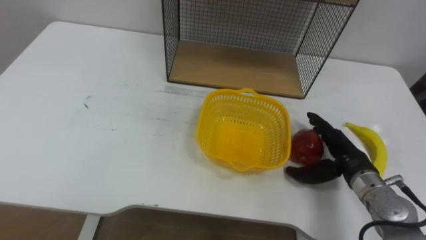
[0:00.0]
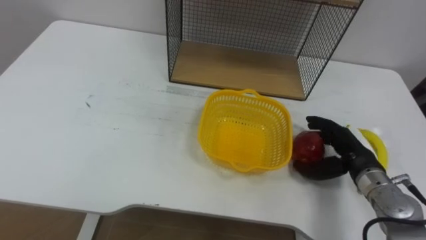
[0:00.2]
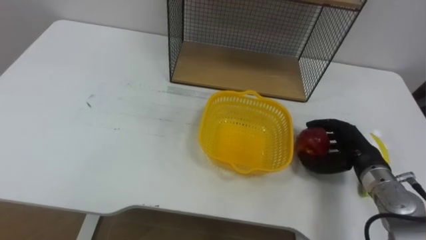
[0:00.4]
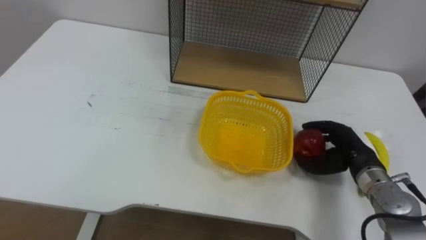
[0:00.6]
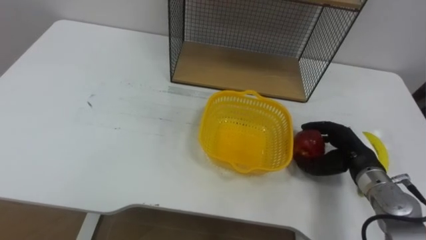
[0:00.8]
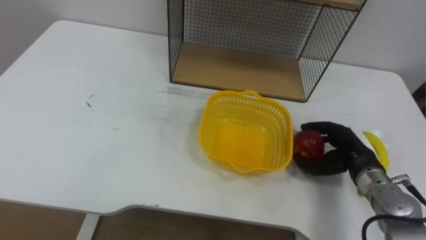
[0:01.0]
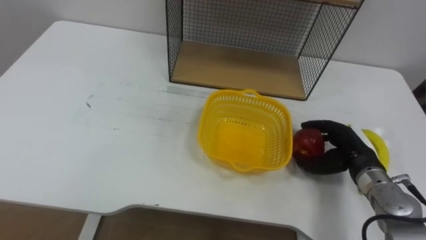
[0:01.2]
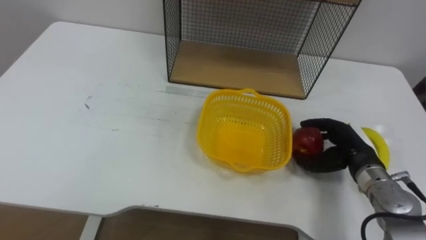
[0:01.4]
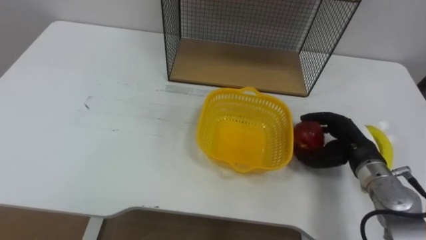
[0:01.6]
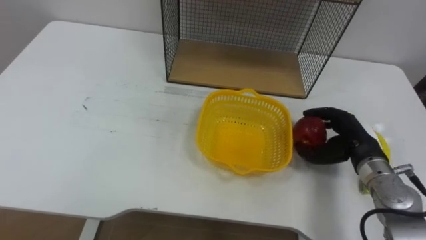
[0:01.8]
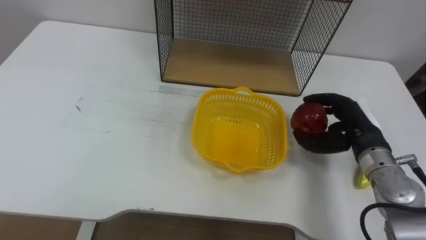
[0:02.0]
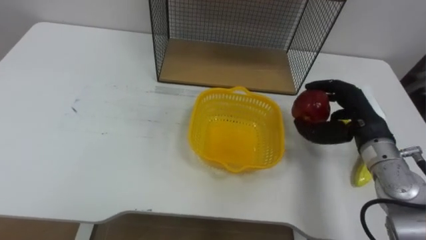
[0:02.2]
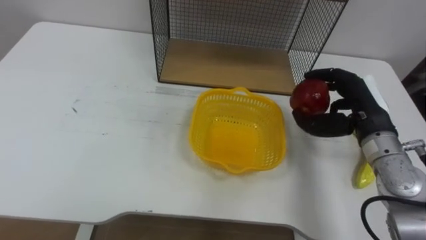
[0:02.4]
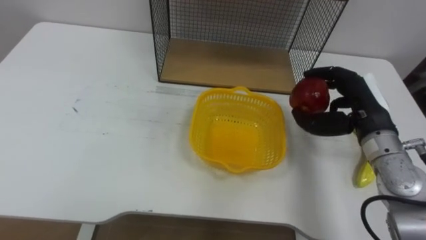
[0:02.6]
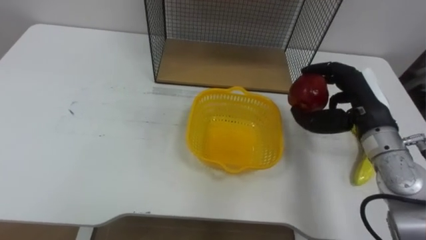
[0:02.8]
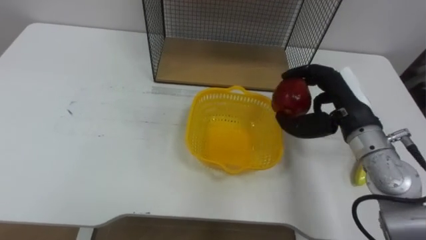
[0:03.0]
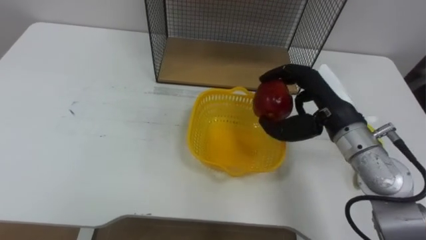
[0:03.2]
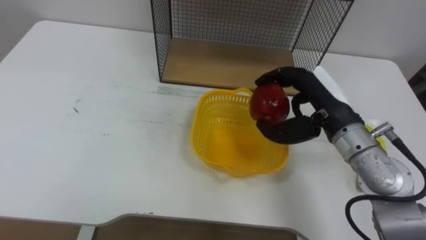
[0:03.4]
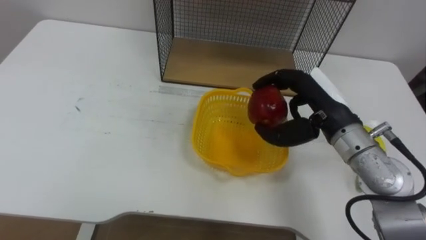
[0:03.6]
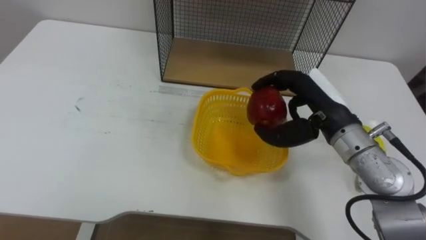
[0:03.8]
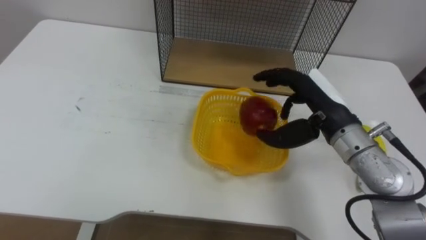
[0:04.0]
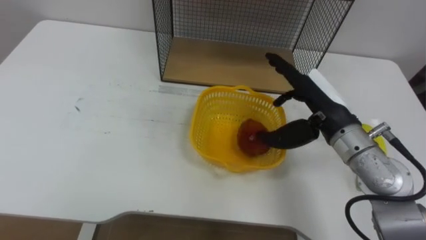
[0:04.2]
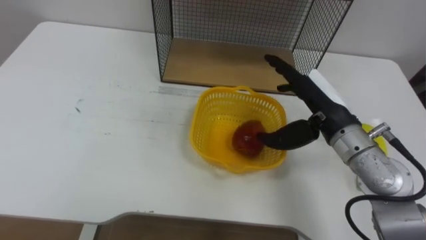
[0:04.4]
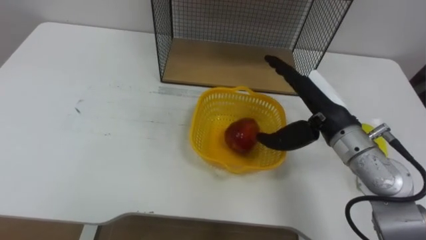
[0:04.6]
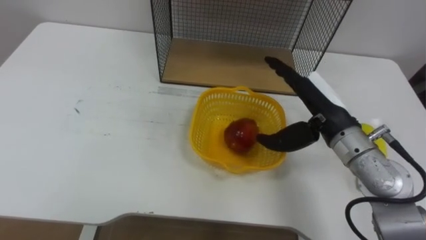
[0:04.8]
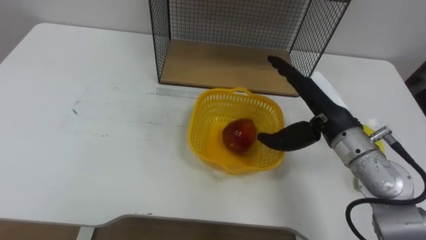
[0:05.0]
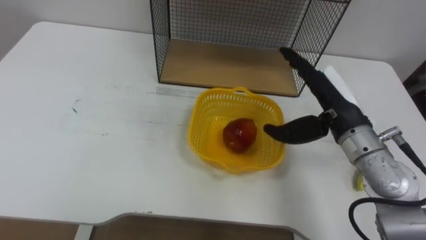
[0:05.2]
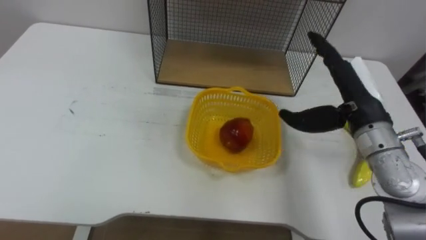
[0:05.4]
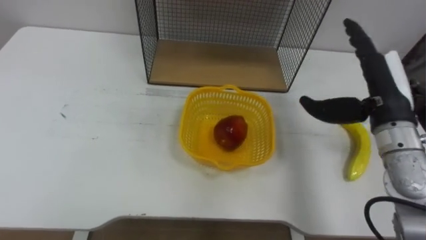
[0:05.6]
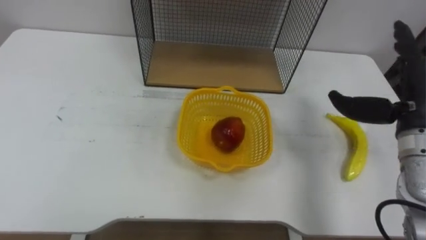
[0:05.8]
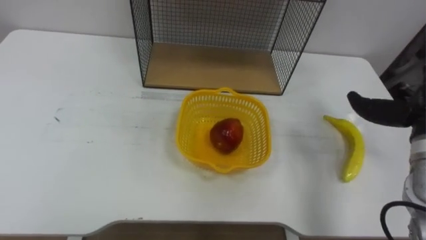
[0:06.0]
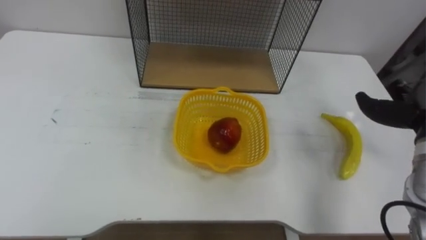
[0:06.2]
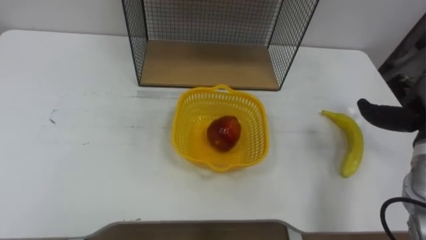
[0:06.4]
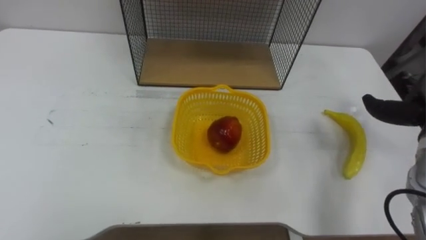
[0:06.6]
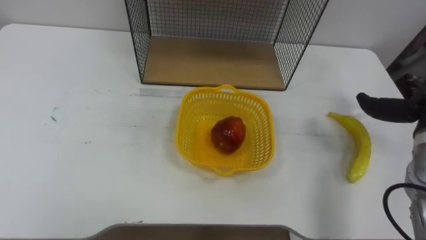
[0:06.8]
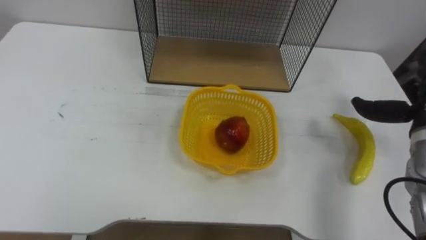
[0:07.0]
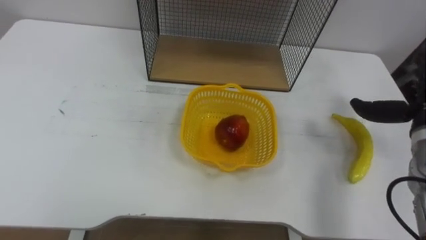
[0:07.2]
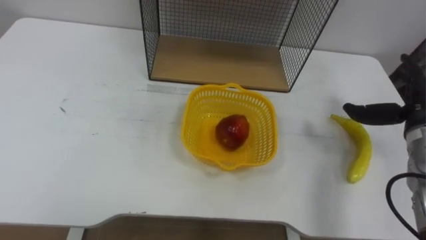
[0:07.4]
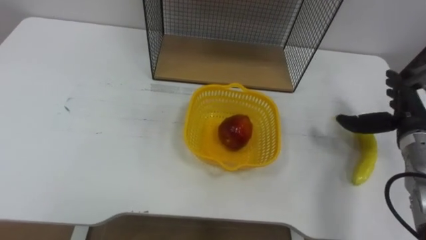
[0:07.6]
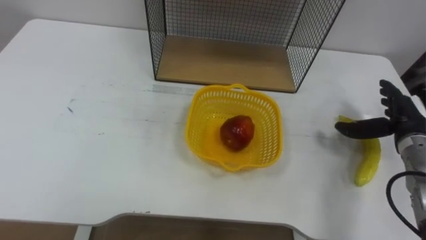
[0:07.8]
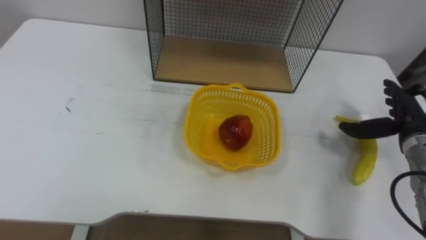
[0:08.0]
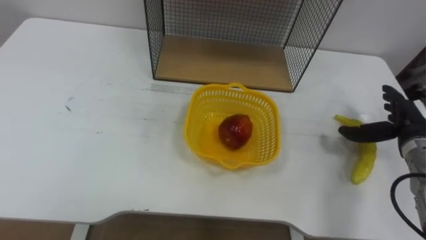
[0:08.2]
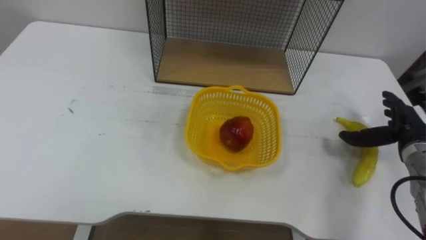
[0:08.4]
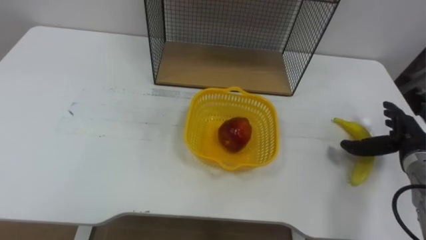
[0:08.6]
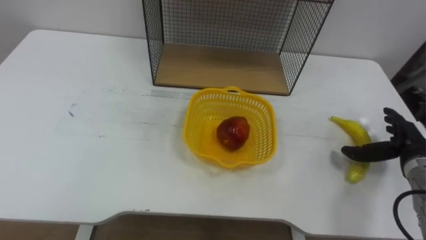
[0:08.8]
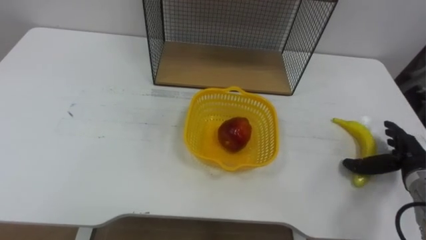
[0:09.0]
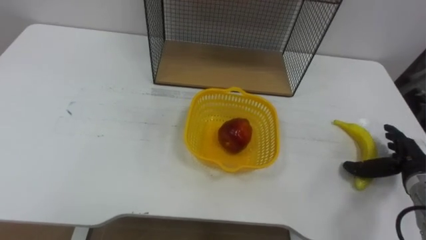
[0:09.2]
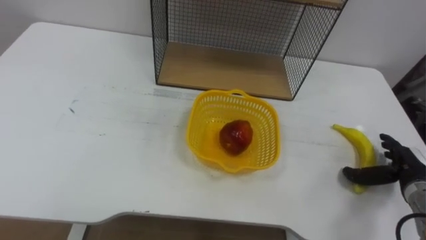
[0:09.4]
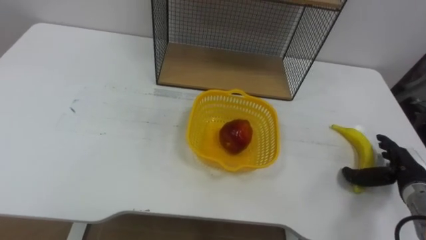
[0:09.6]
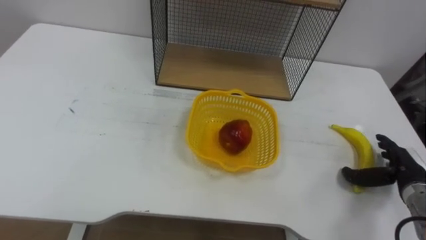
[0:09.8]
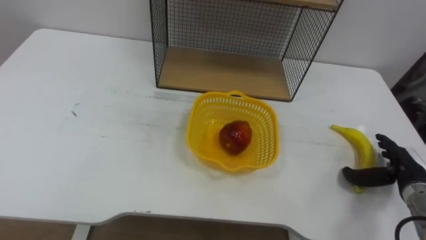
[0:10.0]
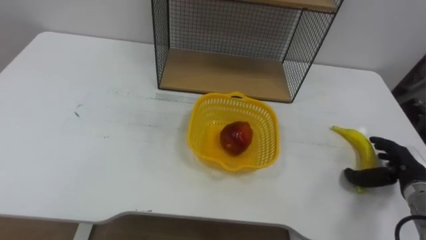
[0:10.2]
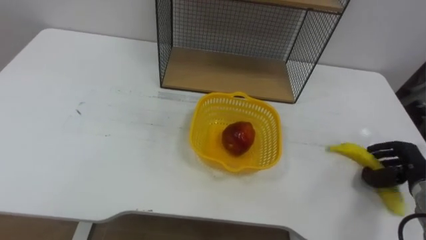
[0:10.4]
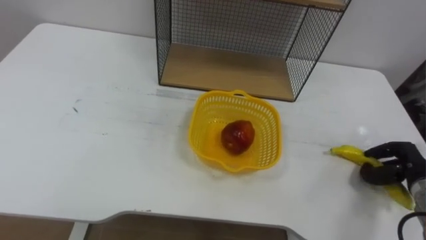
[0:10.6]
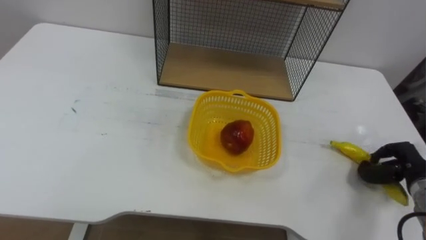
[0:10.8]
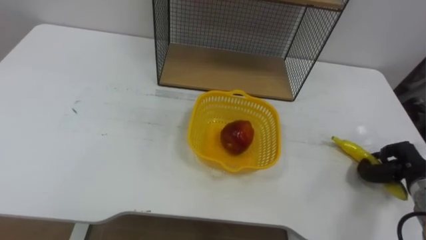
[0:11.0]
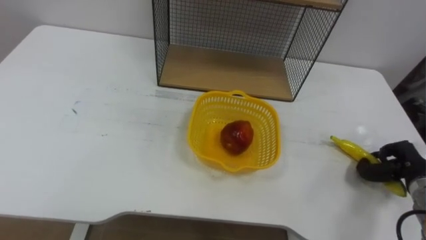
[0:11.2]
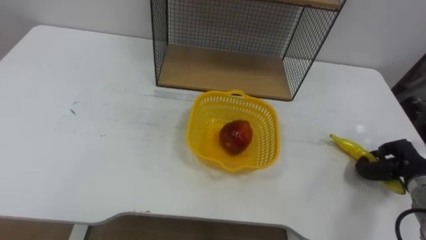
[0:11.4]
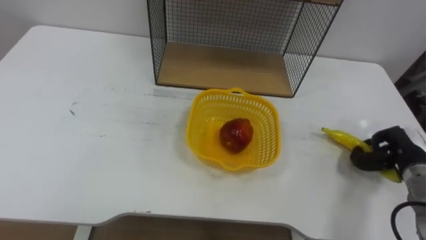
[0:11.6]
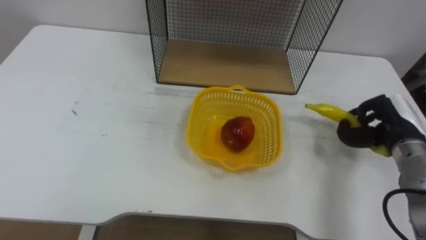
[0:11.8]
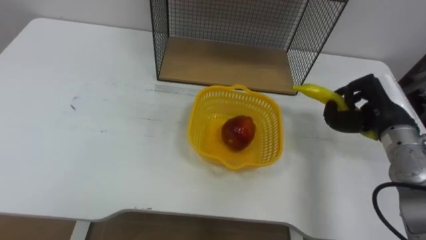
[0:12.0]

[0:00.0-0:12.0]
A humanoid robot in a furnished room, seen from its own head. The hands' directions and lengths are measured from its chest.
Task of the whole recording: Put the fruit on the table into the basket, then place the basket on the shelf.
0:00.0 to 0:01.6: The right hand closes up.
0:01.6 to 0:03.0: The right hand travels upward by roughly 10 cm.
0:03.0 to 0:04.4: The right hand opens.
0:07.6 to 0:09.0: The right hand shifts some 5 cm downward.
0:09.0 to 0:10.4: The right hand closes.
0:10.4 to 0:12.0: The right hand is displaced upward, to the left and forward by roughly 15 cm.

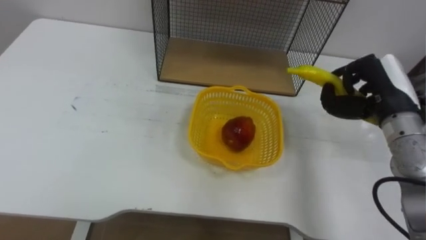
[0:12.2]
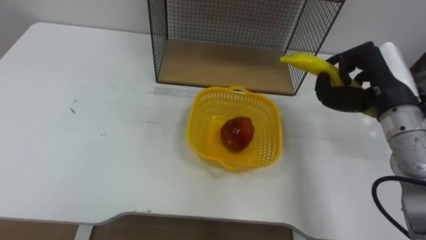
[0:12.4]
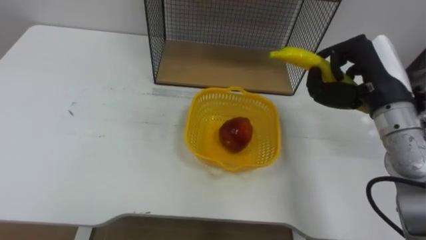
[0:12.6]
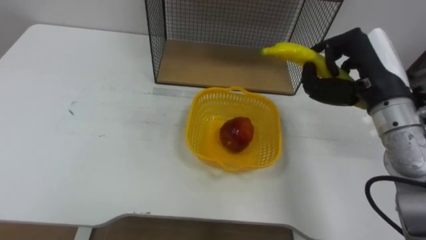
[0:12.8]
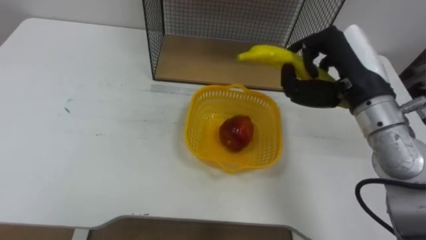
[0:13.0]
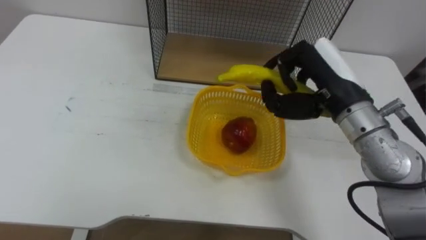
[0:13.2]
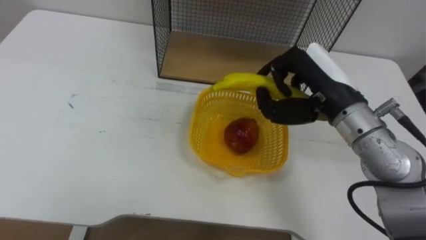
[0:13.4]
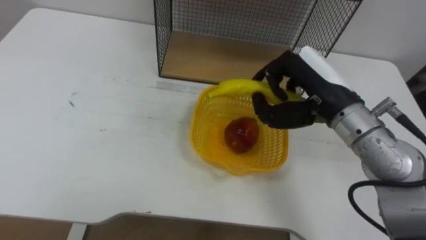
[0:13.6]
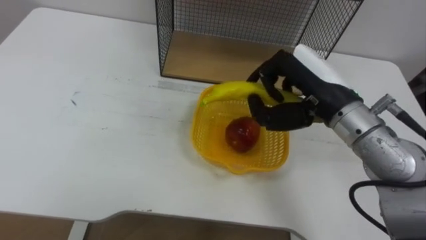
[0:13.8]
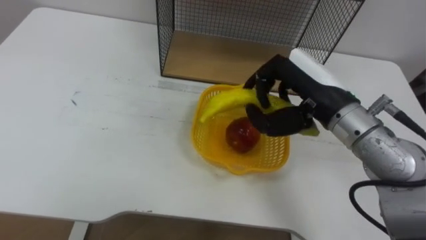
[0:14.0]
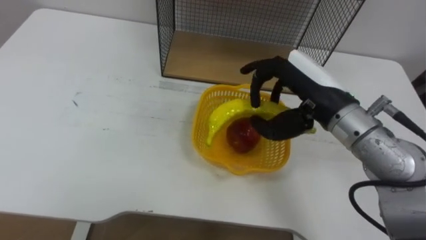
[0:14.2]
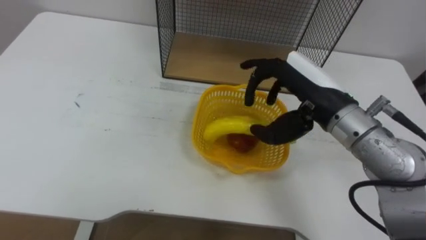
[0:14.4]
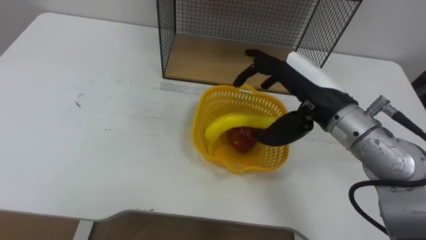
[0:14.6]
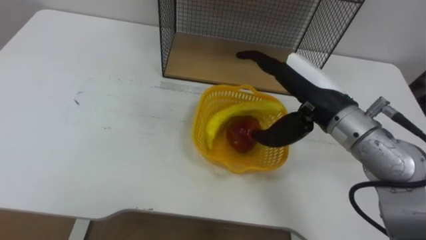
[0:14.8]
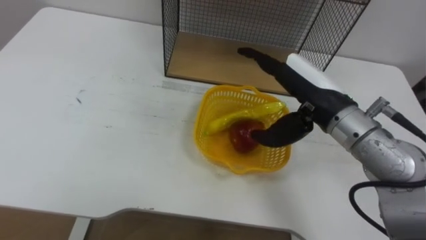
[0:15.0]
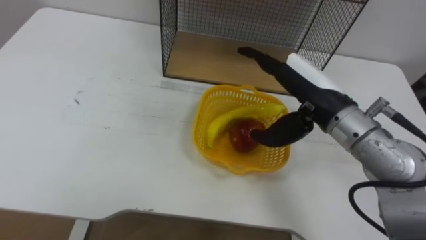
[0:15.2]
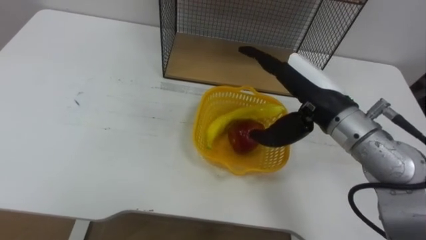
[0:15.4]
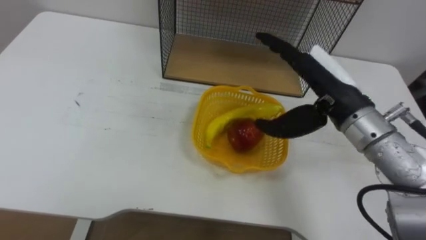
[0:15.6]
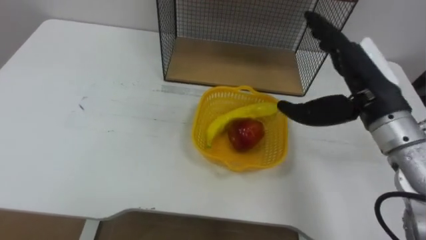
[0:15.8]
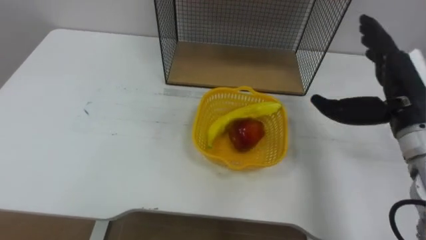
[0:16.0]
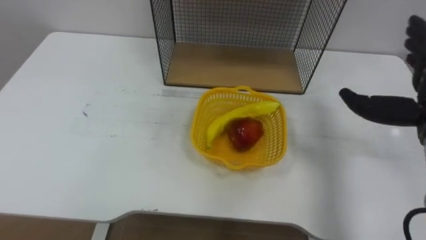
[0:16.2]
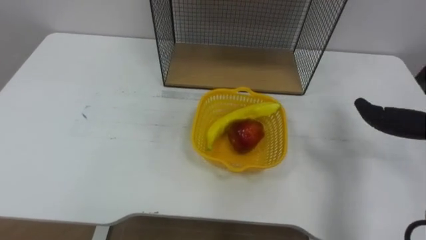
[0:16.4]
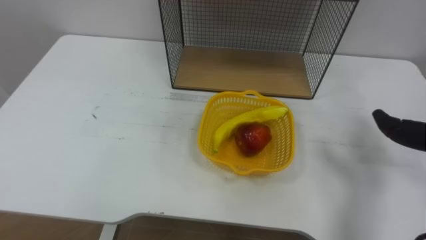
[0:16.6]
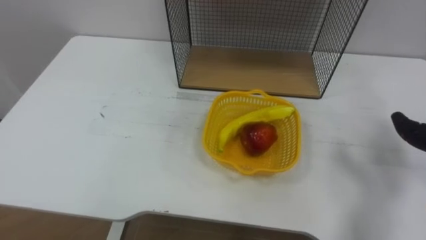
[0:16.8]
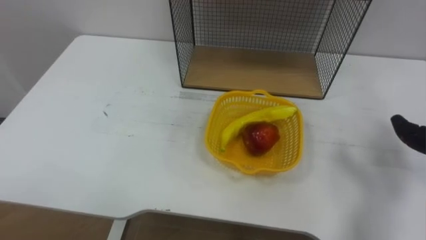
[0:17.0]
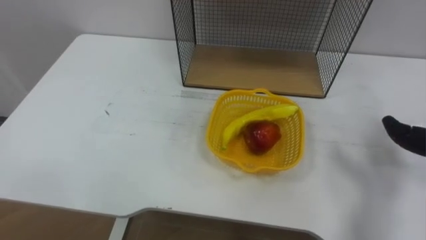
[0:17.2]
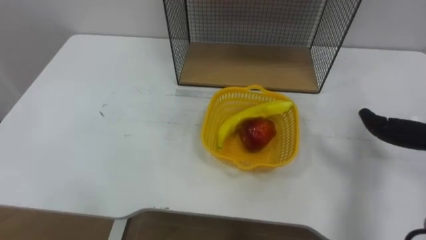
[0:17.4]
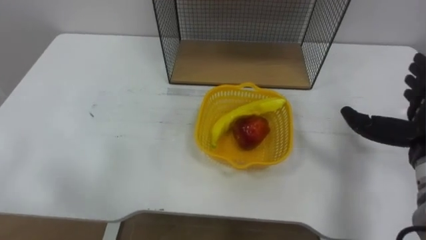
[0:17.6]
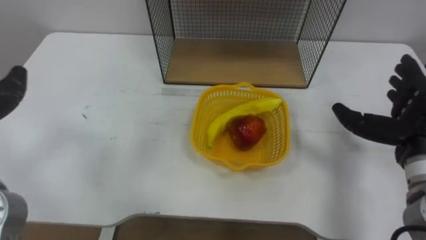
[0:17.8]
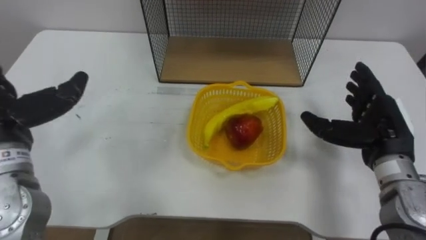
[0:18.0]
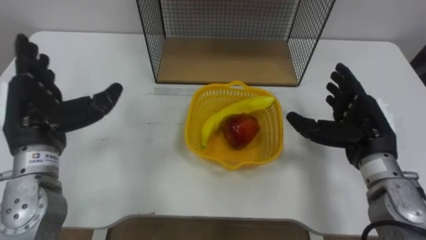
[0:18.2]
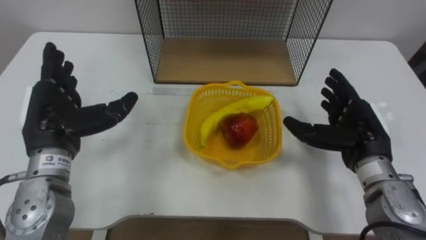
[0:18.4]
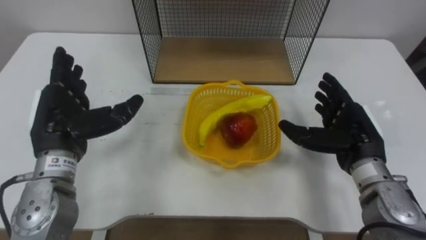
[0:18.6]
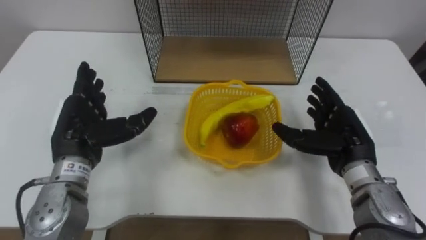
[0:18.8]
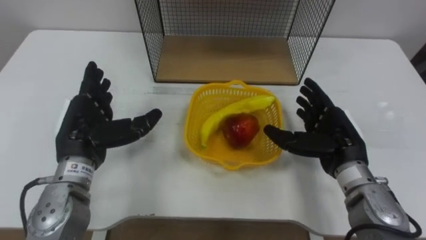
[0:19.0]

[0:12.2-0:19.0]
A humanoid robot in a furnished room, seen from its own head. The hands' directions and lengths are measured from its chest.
Task of the whole recording: Put the fruit on the table into the basket, then place the basket on the shelf.
0:12.2 to 0:13.6: The right hand moves to the left, some 10 cm.
0:13.6 to 0:15.0: The right hand opens its fingers.
